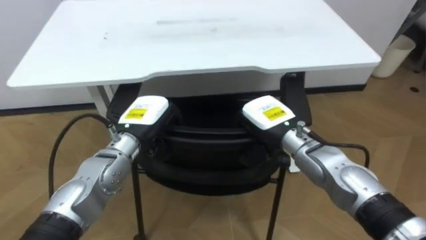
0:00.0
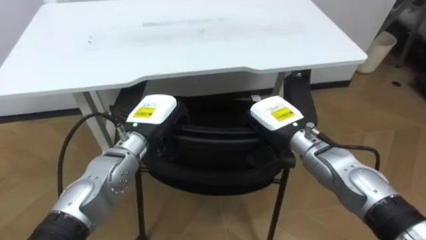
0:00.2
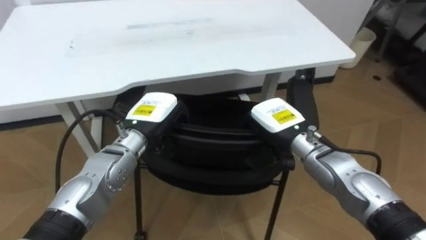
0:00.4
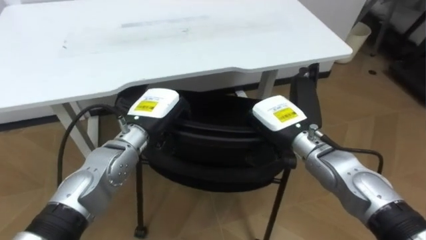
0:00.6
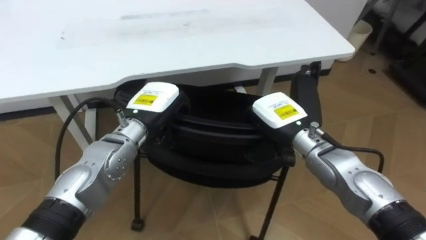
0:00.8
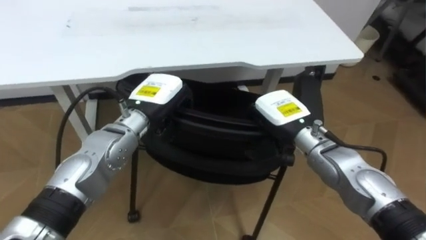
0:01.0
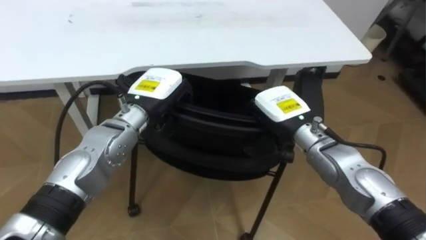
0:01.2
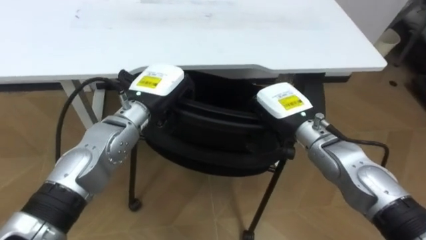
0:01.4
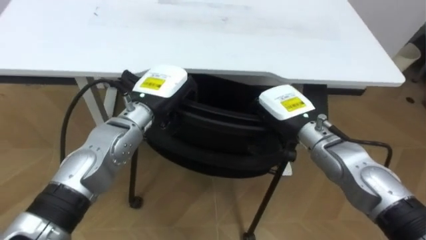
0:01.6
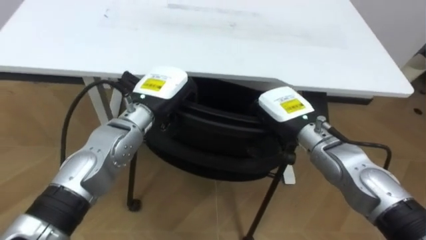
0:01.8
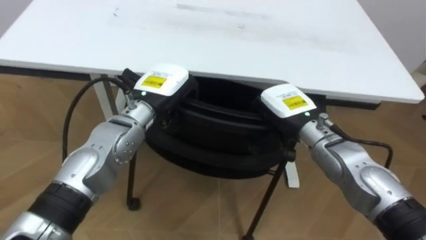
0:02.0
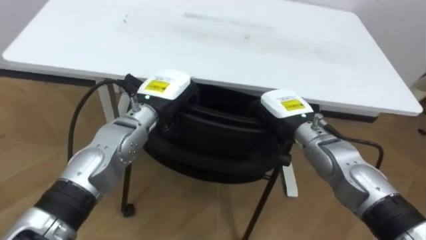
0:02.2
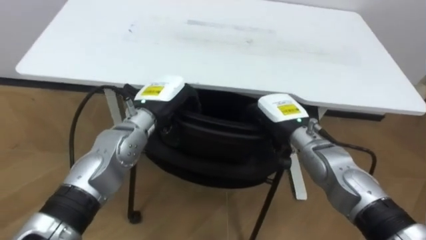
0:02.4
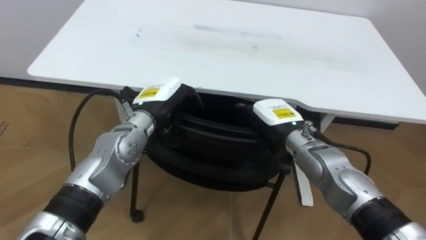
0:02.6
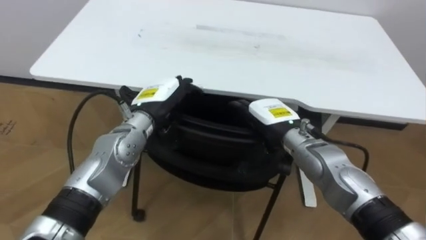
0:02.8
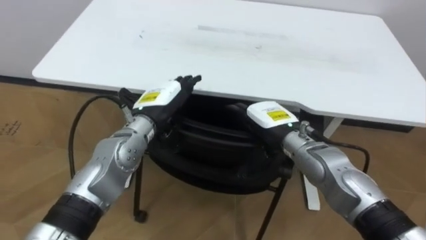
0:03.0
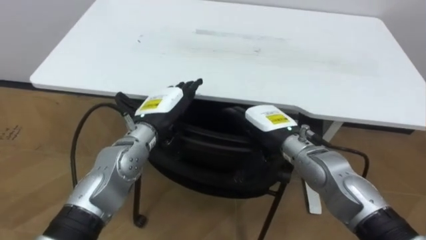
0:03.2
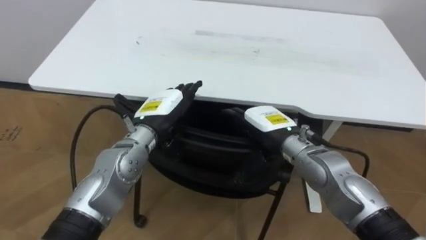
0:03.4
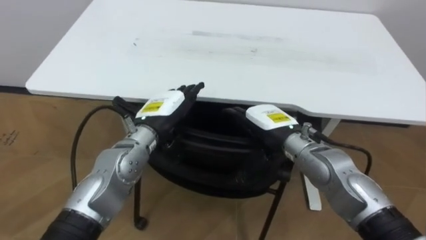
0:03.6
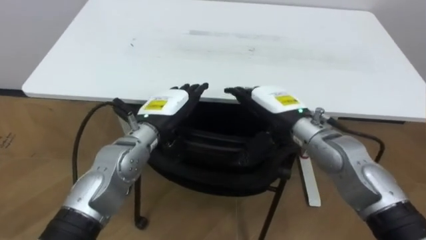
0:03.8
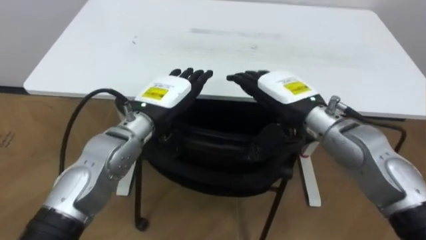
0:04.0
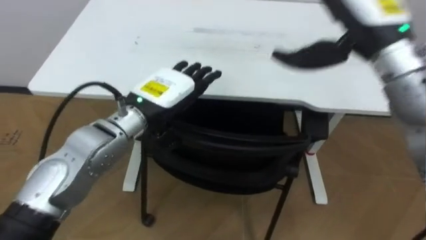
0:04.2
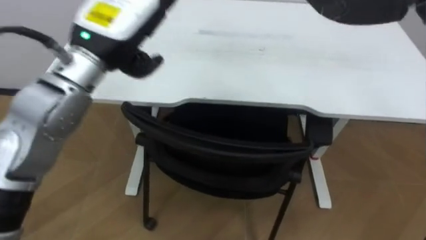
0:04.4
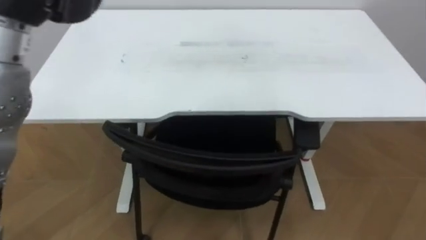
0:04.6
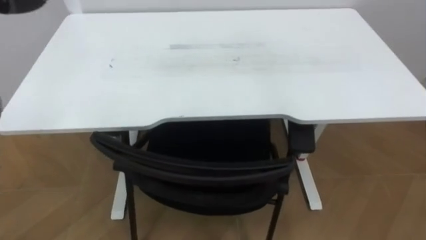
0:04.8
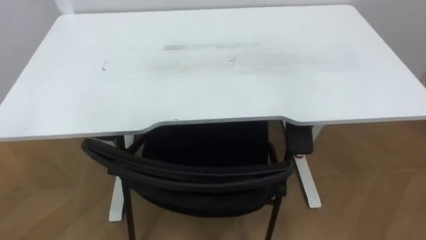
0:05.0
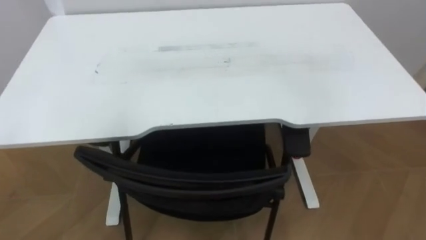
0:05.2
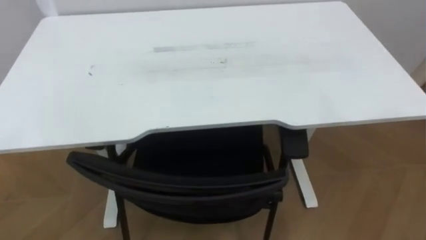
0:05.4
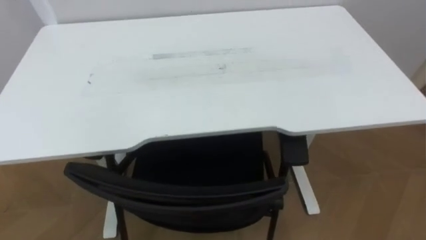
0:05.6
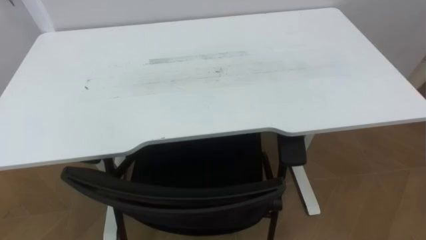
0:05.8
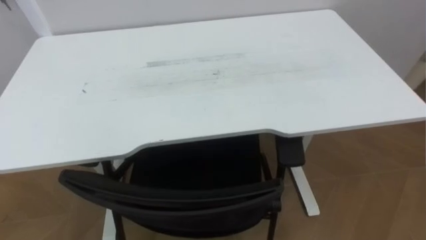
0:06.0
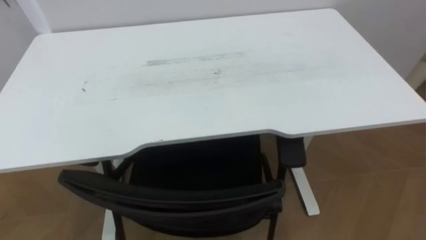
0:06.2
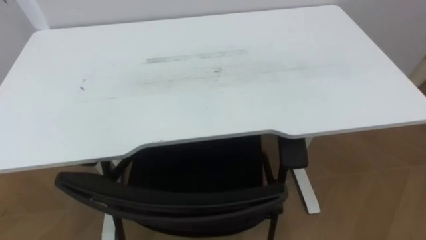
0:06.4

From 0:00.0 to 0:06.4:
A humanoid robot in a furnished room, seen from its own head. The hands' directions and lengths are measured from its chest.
Task of the whole recording: Push the chair under the table.
From 0:00.0 to 0:01.6: The left hand is displaced upward by about 5 cm.
From 0:01.6 to 0:03.2: The left hand opens its fingers. The right hand opens up.

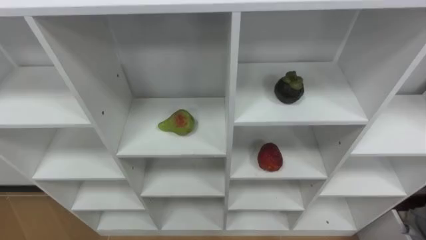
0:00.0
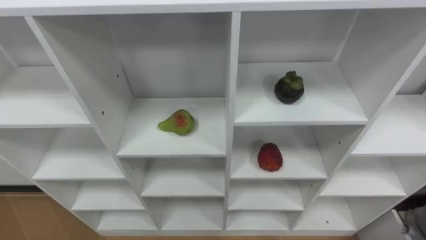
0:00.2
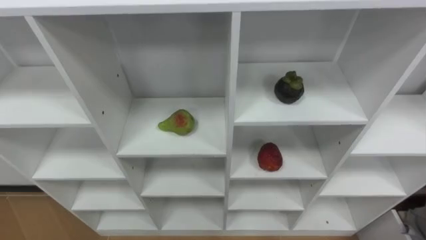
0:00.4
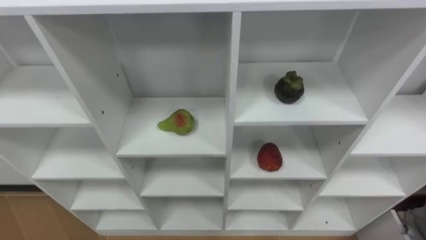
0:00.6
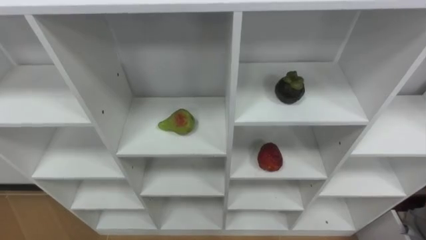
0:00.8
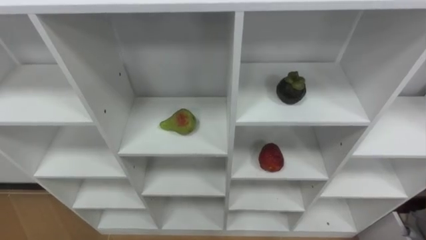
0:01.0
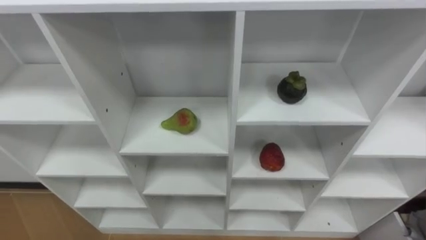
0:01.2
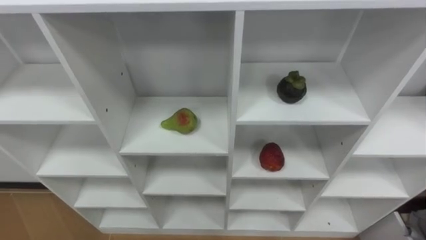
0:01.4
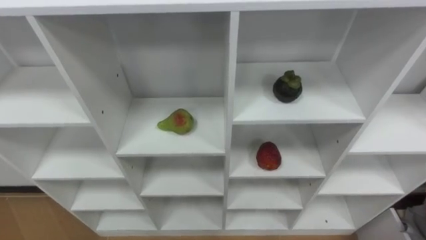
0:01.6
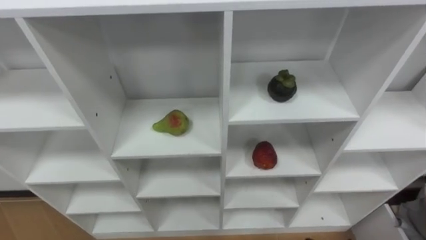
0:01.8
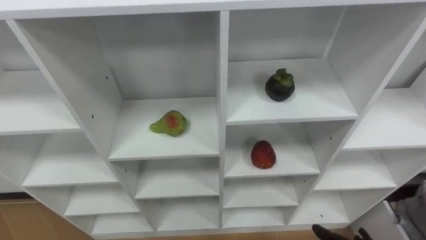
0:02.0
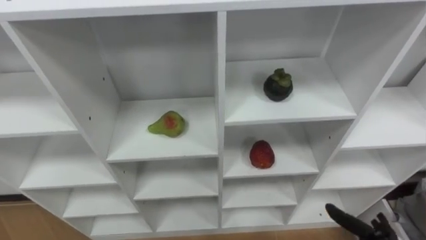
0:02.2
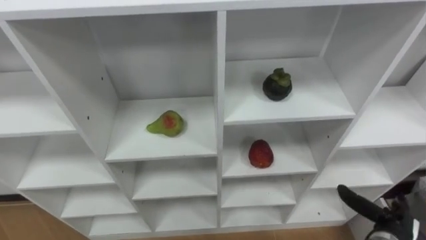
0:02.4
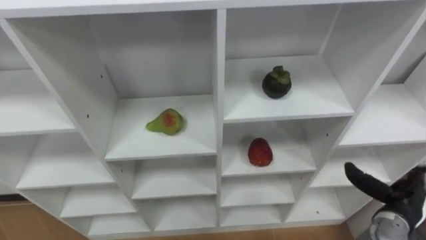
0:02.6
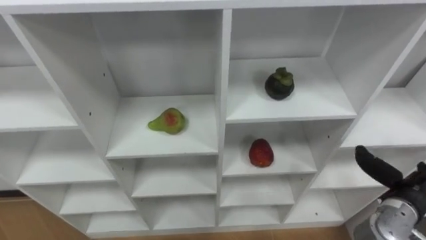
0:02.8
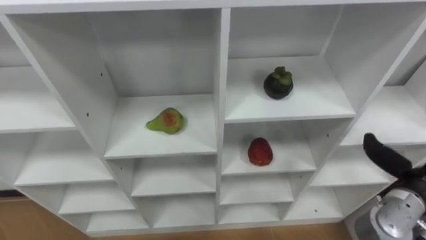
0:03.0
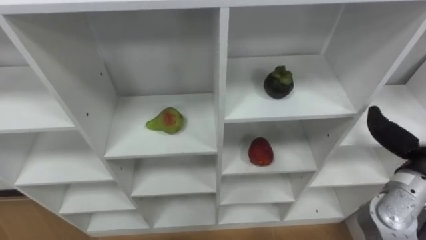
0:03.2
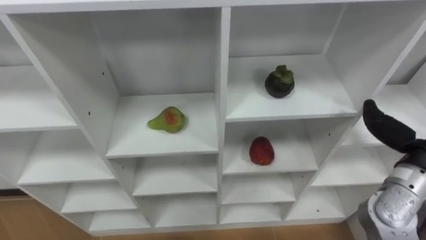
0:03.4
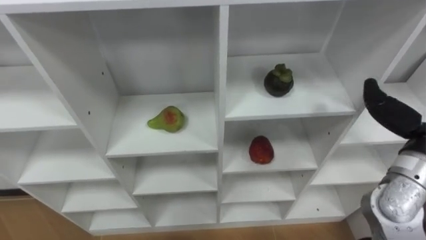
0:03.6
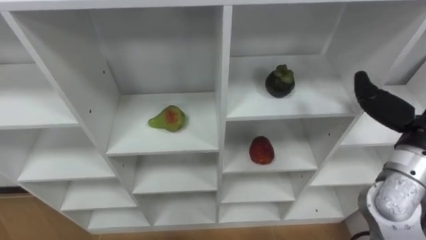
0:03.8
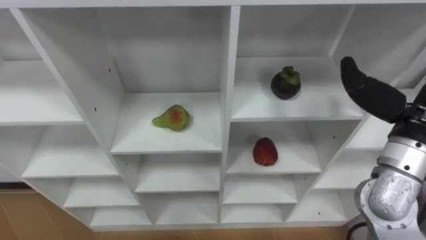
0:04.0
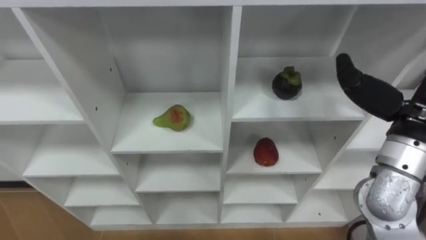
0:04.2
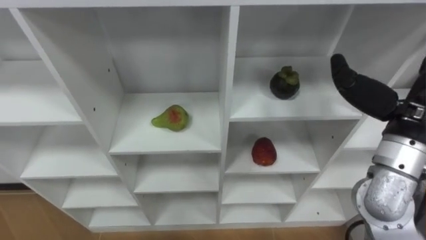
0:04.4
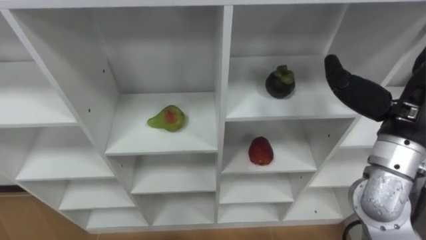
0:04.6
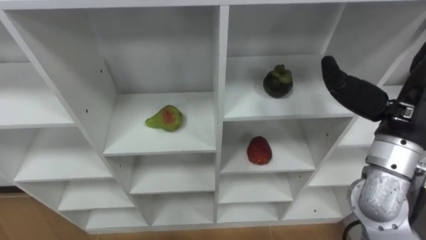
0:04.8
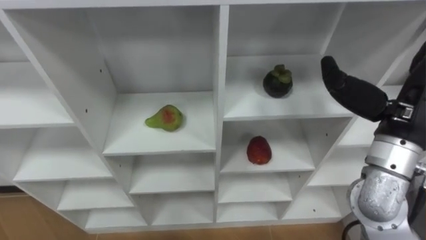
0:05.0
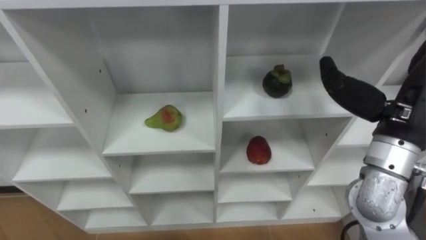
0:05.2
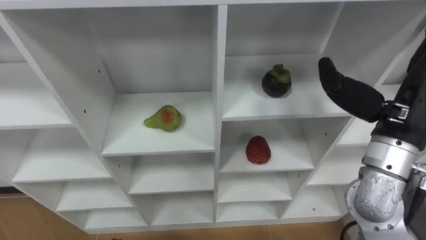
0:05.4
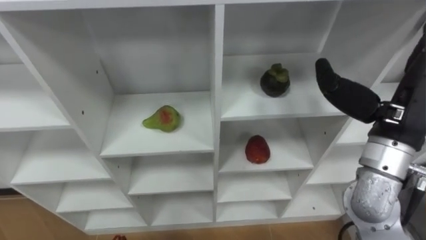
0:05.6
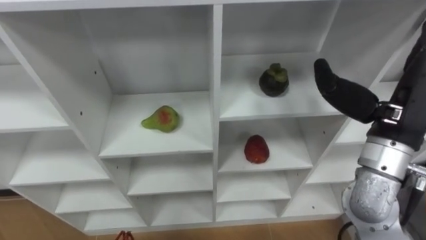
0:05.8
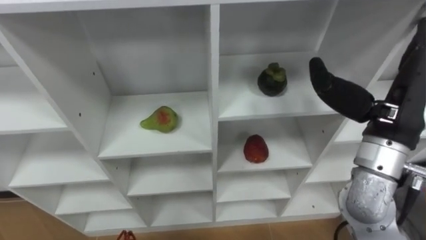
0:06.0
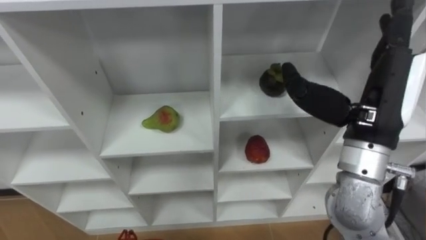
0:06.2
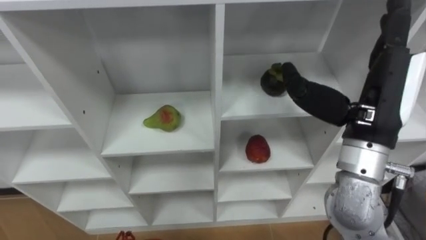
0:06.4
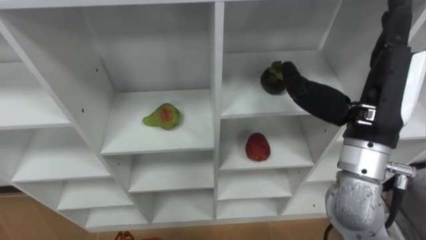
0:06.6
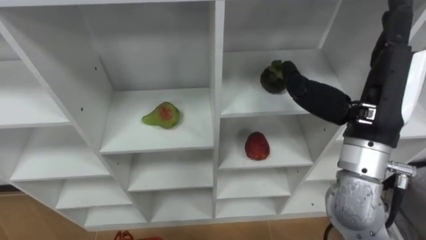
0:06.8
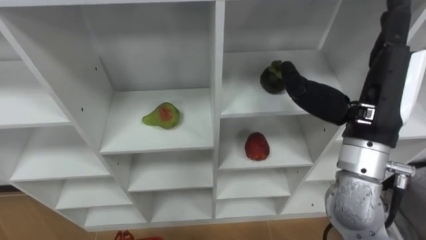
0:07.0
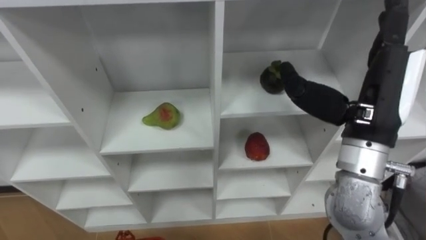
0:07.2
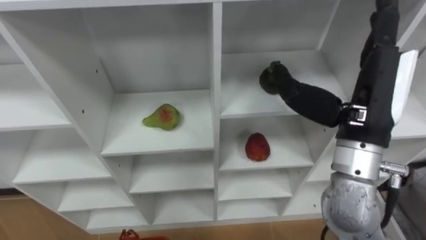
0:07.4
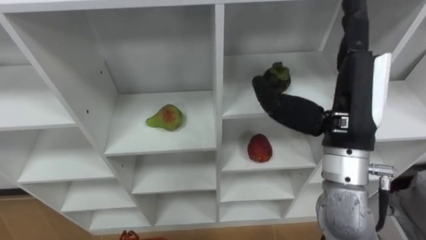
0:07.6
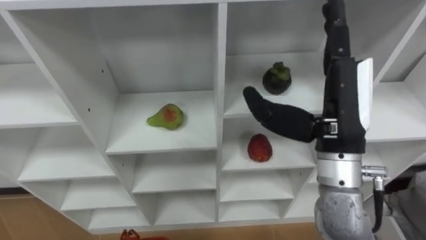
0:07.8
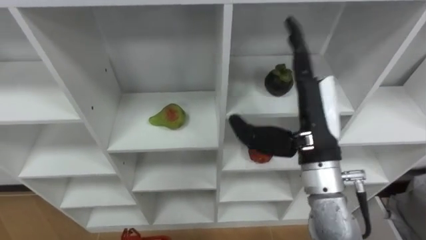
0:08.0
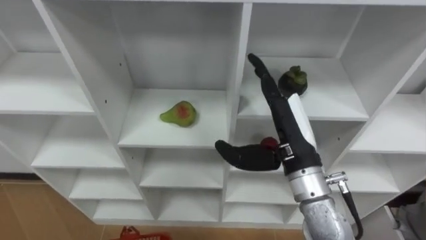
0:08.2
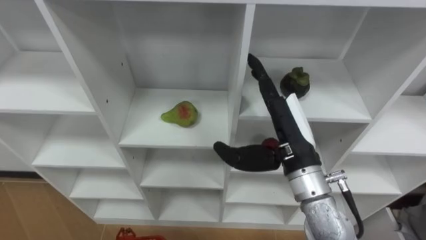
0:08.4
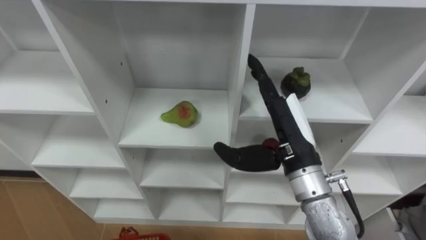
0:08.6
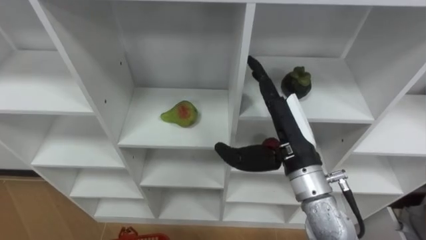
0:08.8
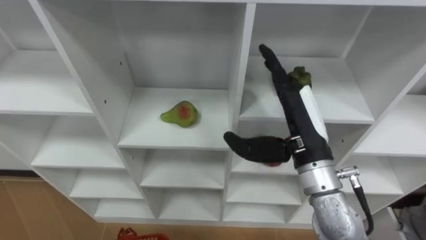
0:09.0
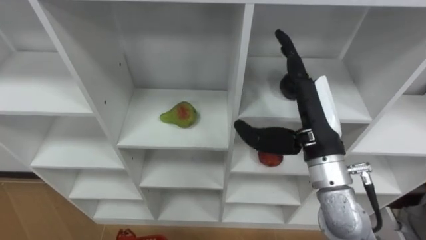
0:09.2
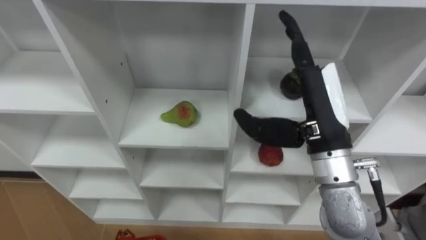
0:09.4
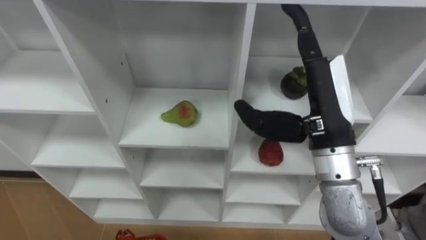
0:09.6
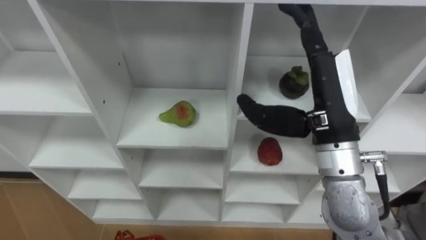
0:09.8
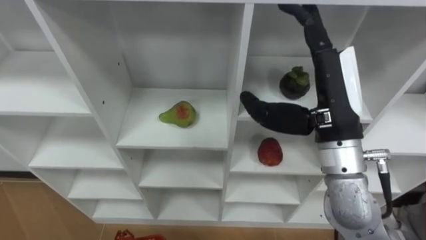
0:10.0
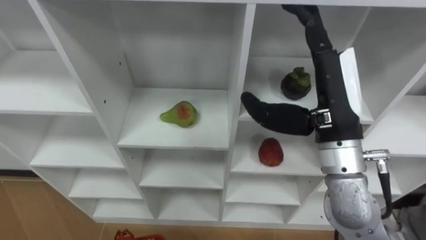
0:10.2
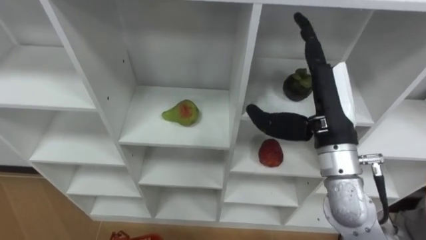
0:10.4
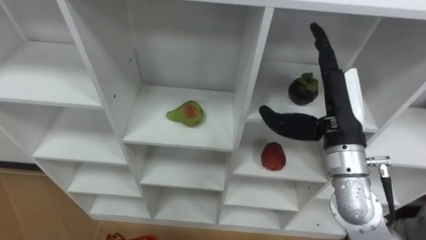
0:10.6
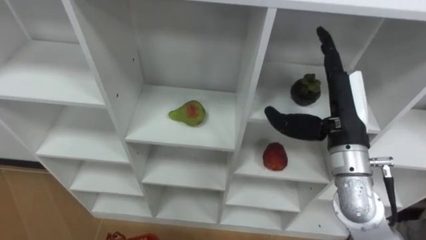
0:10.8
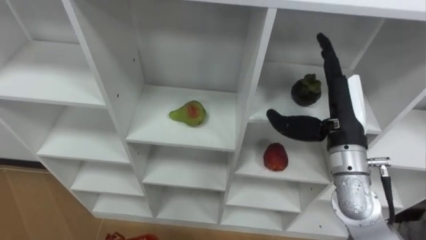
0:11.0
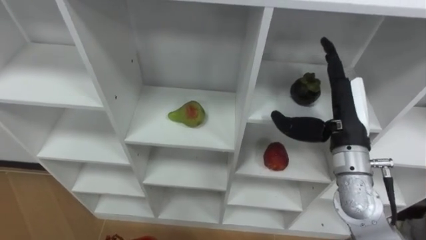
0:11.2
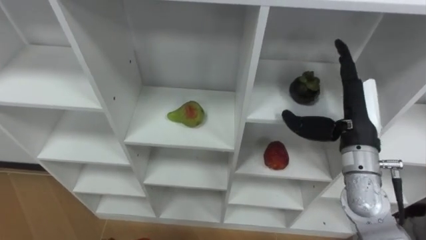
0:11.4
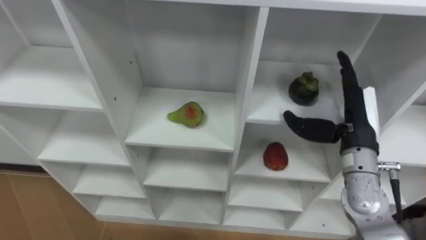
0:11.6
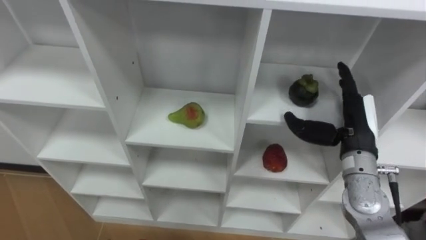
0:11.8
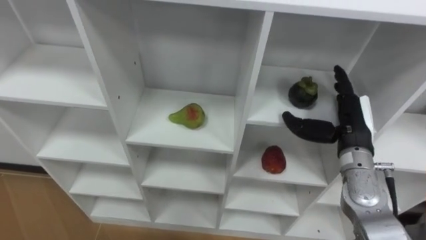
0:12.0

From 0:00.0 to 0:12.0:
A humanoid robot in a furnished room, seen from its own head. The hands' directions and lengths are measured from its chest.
Task of the whole recording: Hold the basket and collect the fruits from 3 different cells of the closet into it.
From 0:06.0 to 0:07.6: The right hand shifts roughly 5 cm to the left.
From 0:07.6 to 0:09.0: The right hand shifts roughly 5 cm downward.
From 0:10.4 to 0:12.0: The right hand heads downward and to the right, covering roughly 15 cm.
